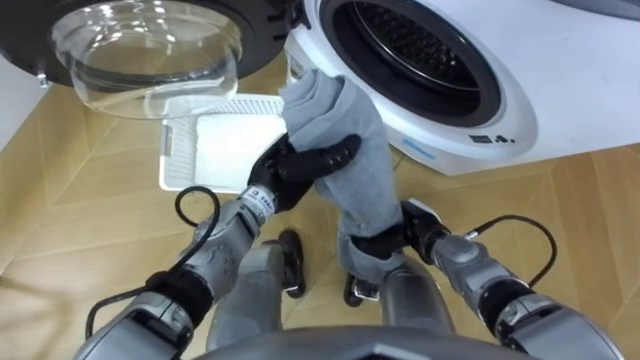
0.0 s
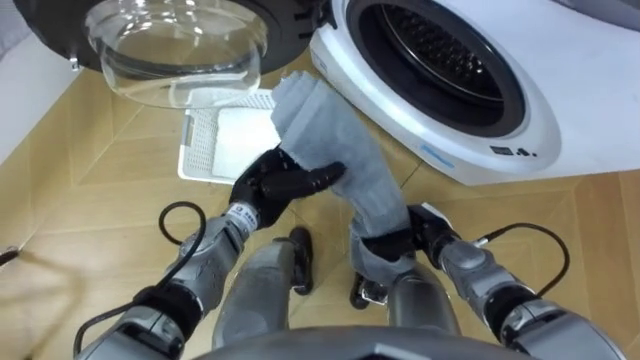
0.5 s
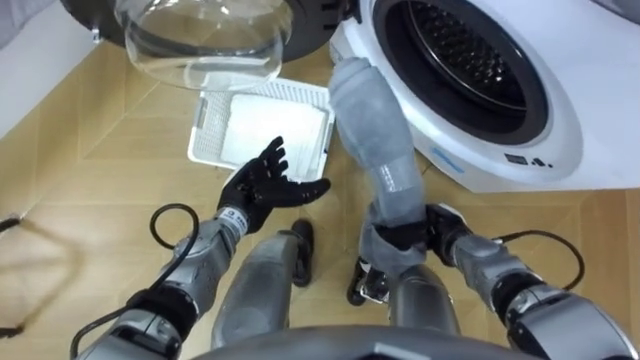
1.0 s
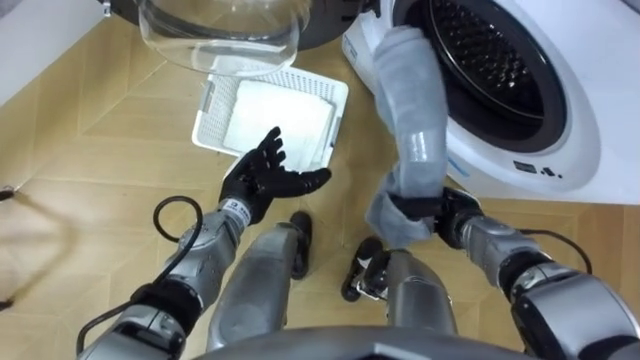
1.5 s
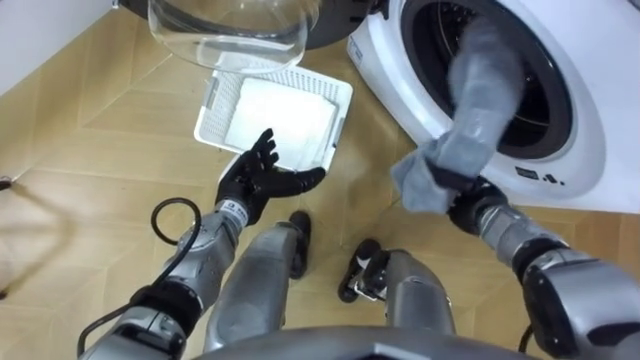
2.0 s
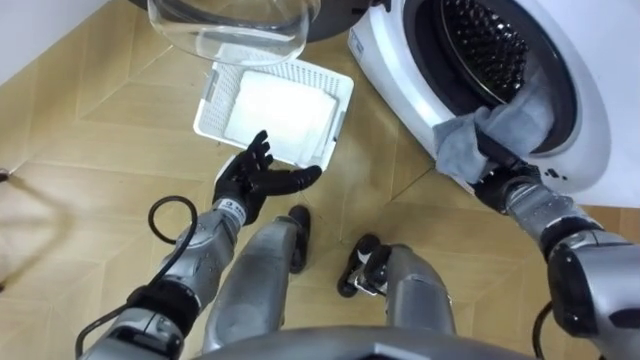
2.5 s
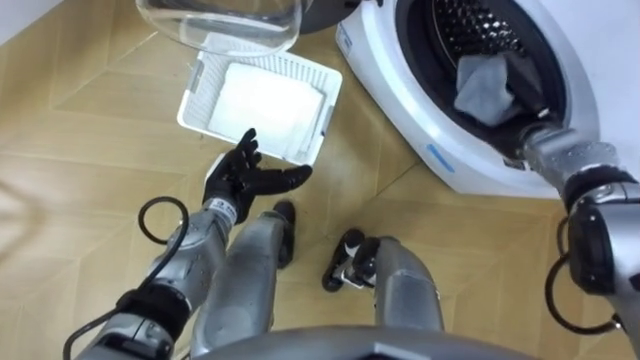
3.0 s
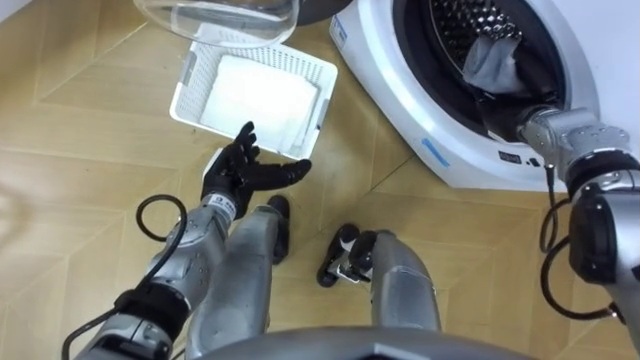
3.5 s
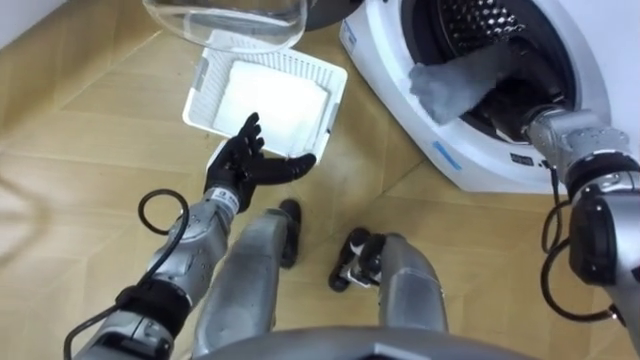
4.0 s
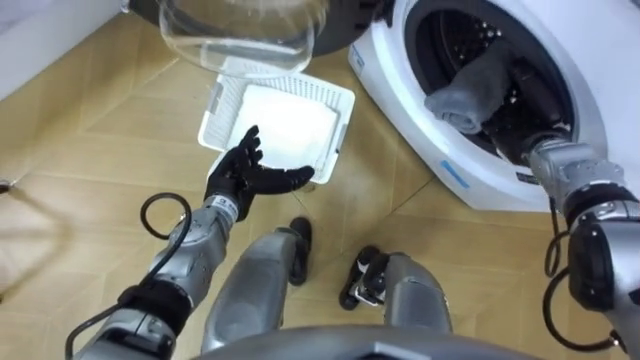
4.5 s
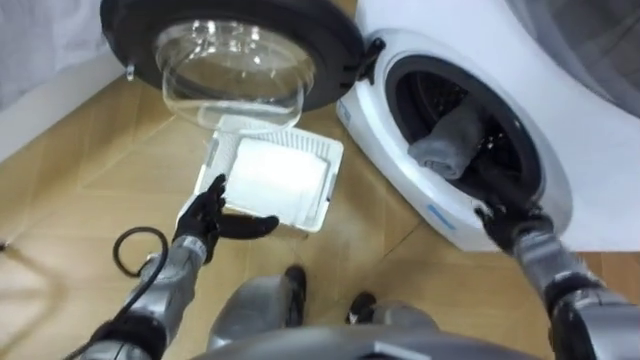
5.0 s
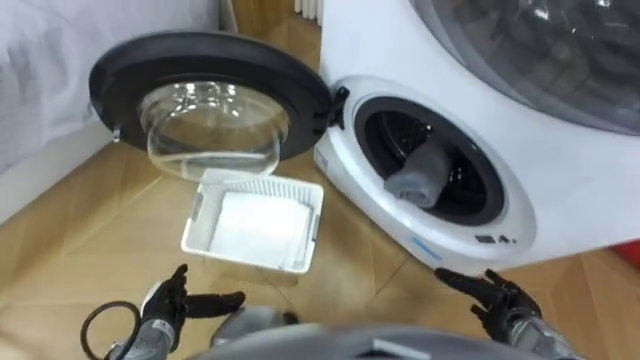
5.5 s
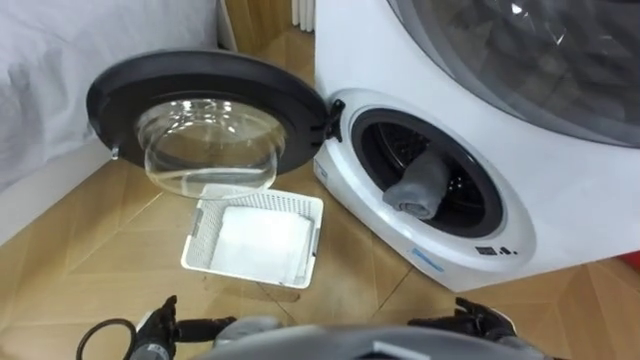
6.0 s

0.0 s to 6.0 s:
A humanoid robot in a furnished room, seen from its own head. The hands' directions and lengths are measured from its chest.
Task of the whole recording: Take the towel from the basket and put it into the washing machine.
0.0 to 2.0 s: The right hand is displaced to the right by roughly 10 cm, while the left hand travels to the left by roughly 5 cm, and opens.
2.0 to 4.0 s: The right hand travels upward, forward and to the right by some 15 cm, and opens its fingers.
4.0 to 6.0 s: The right hand shifts about 35 cm backward and downward. The left hand travels backward, downward and to the left by roughly 30 cm.

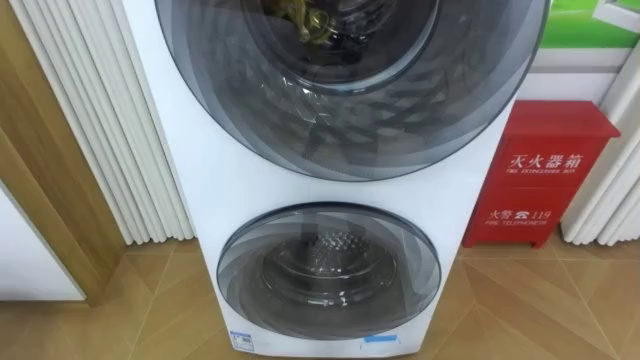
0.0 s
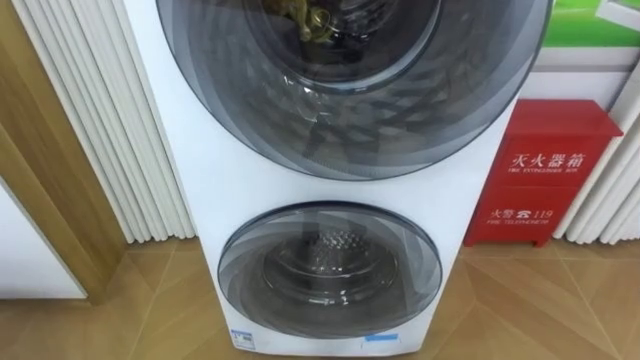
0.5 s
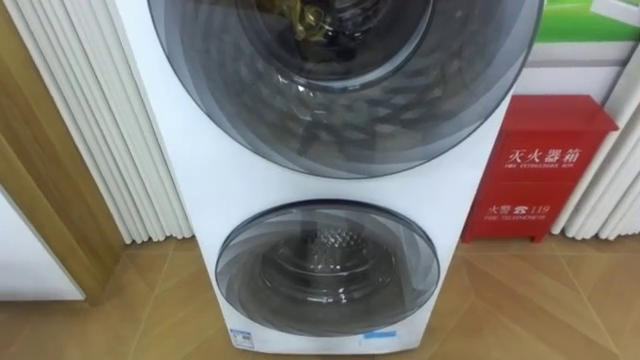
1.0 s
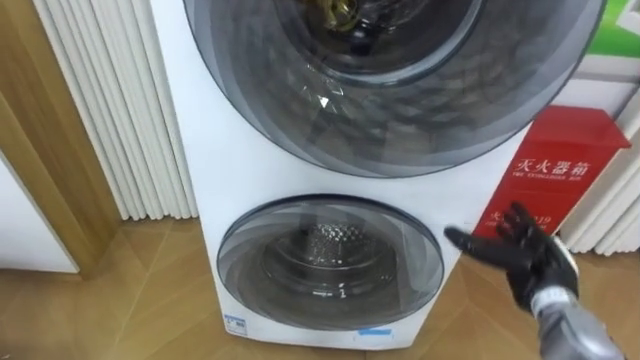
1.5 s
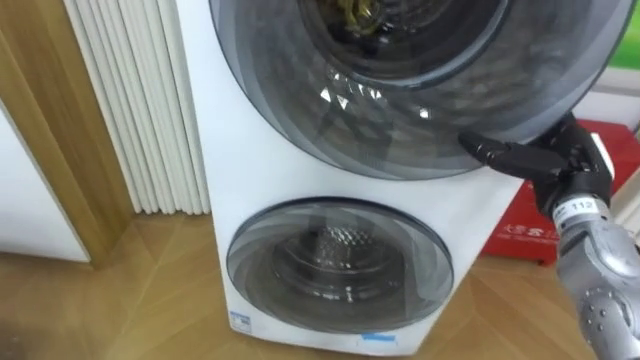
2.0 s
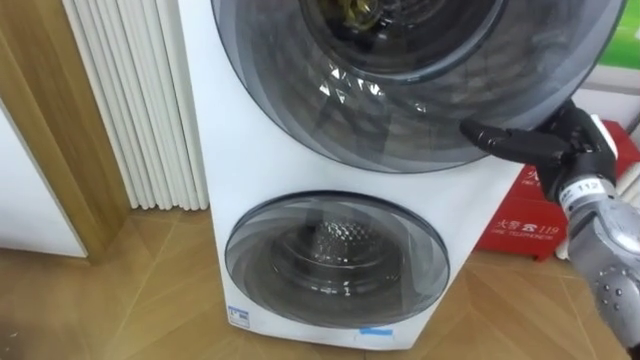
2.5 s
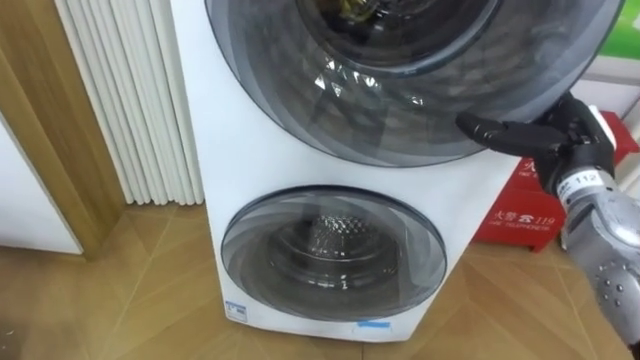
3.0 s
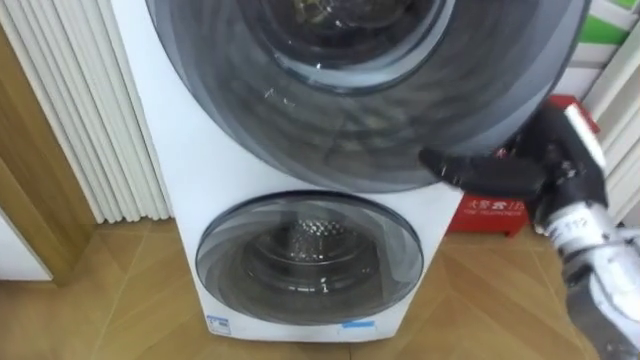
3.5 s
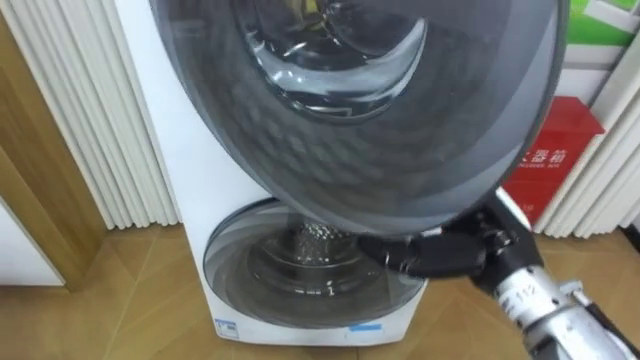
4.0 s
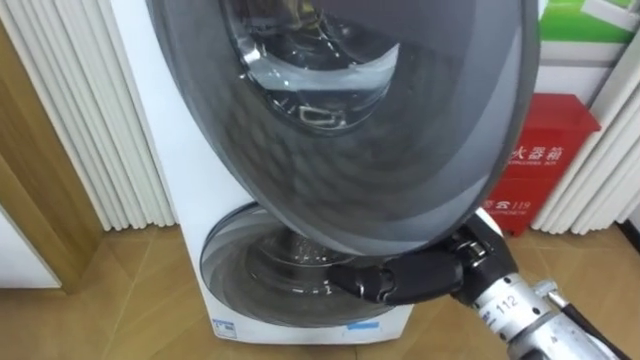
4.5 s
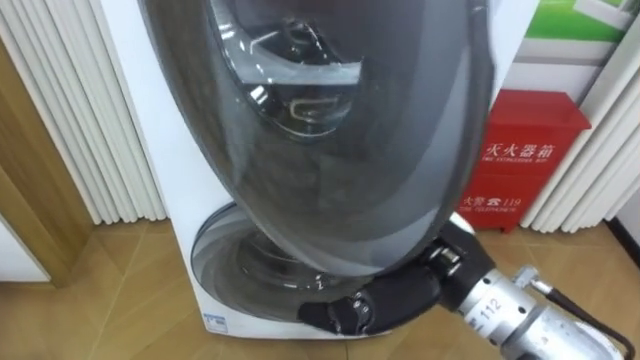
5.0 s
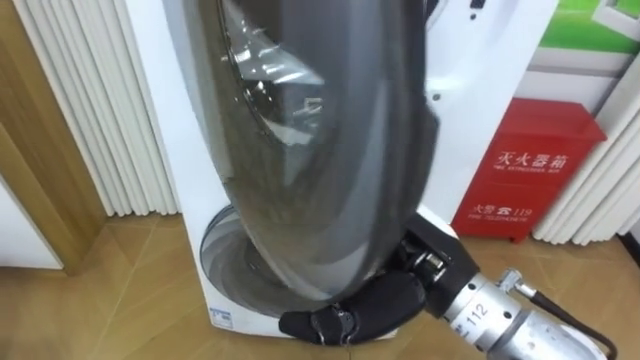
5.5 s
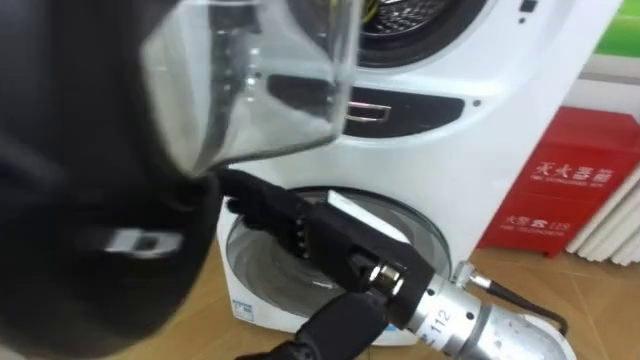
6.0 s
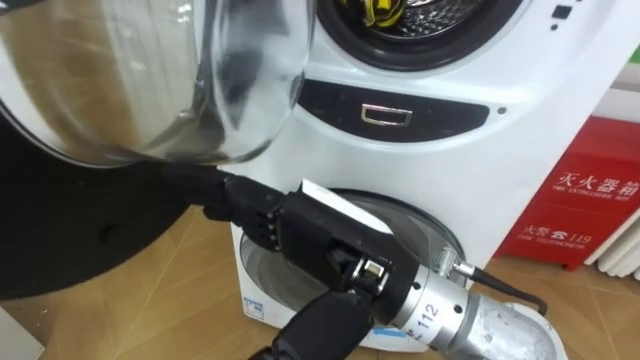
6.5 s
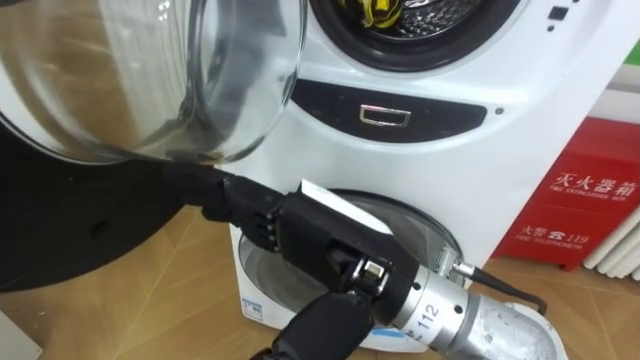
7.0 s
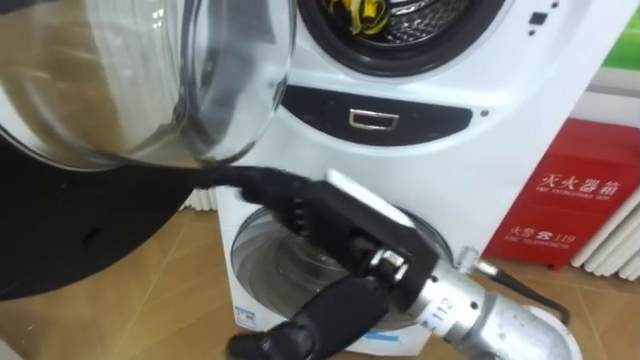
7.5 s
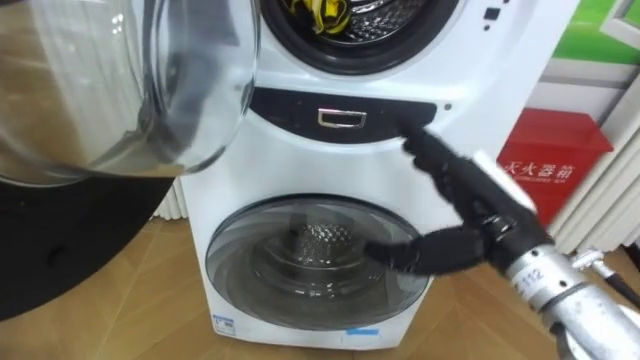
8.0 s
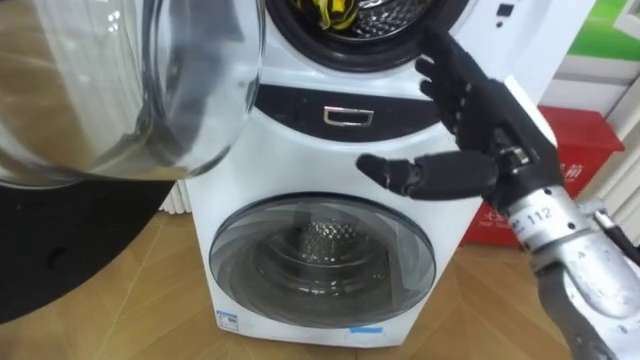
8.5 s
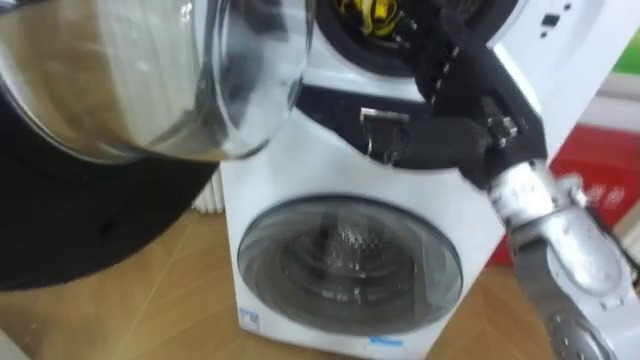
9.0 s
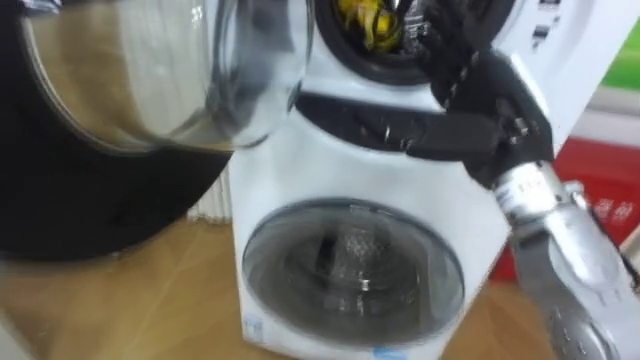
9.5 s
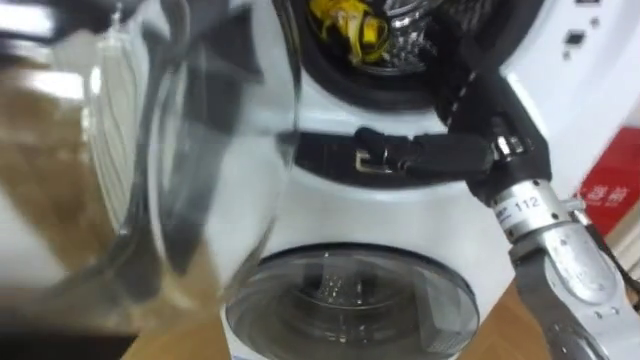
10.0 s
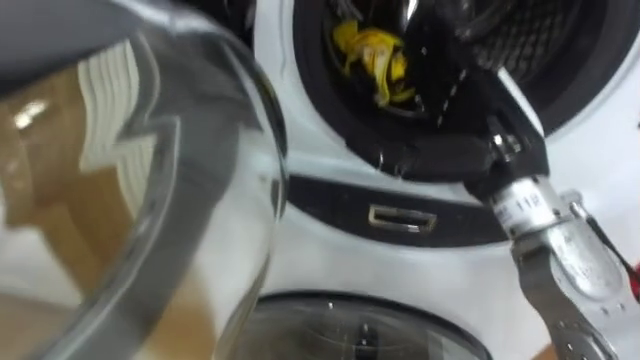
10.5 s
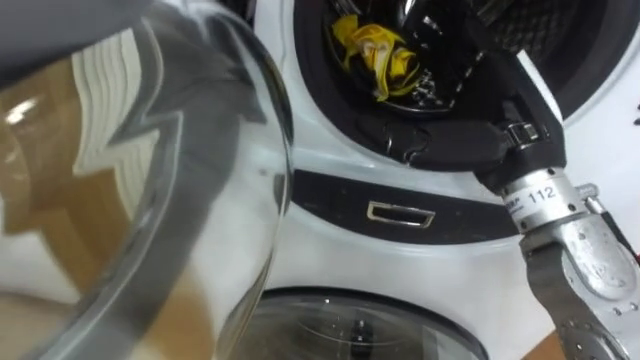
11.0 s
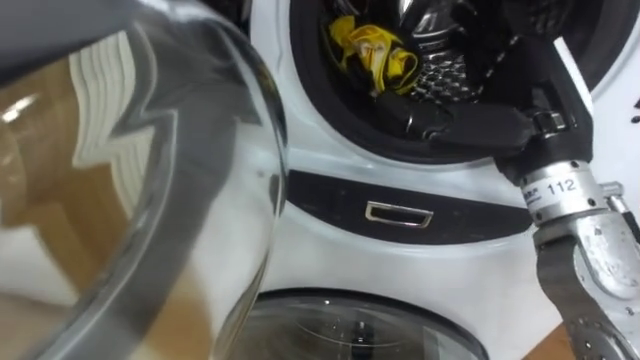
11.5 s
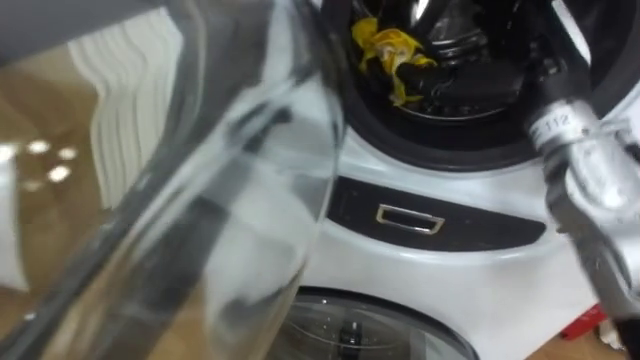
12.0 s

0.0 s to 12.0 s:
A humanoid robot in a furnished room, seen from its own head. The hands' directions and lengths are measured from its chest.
Task of the whole recording: Open the washing machine door, take out the yellow clothes, place them in the box on the right, and close the washing machine door.
2.0 to 4.0 s: The right hand shifts about 15 cm to the left and backward.
4.0 to 6.0 s: The right hand goes roughly 15 cm to the left and backward.
6.0 to 8.0 s: The right hand shifts approximately 15 cm to the right and forward.
8.0 to 10.0 s: The right hand travels upward by approximately 5 cm.
10.0 to 12.0 s: The right hand moves forward, roughly 5 cm.

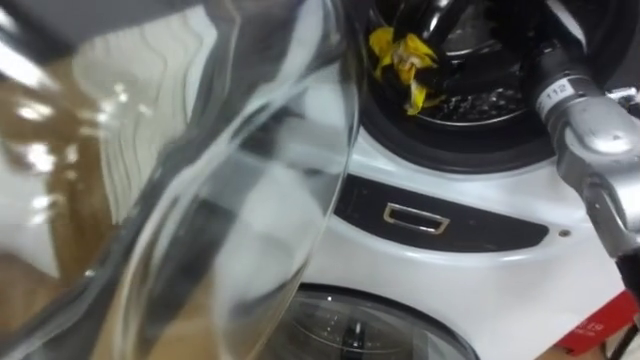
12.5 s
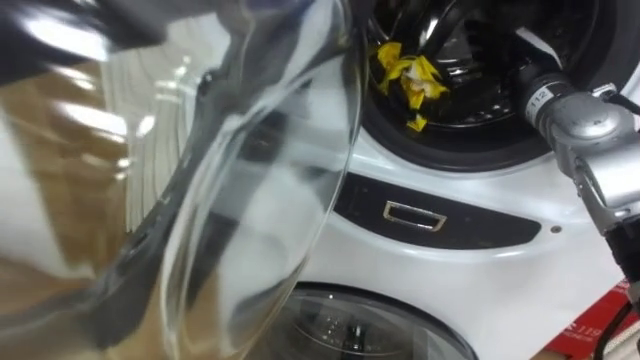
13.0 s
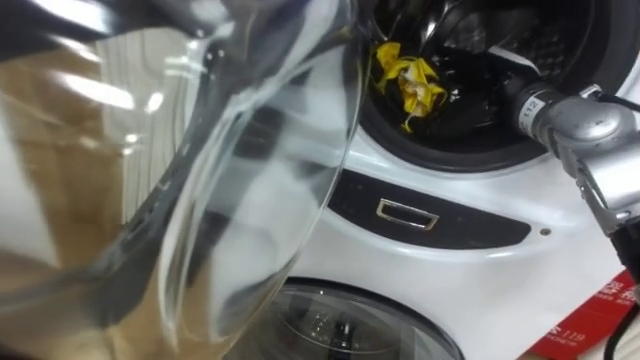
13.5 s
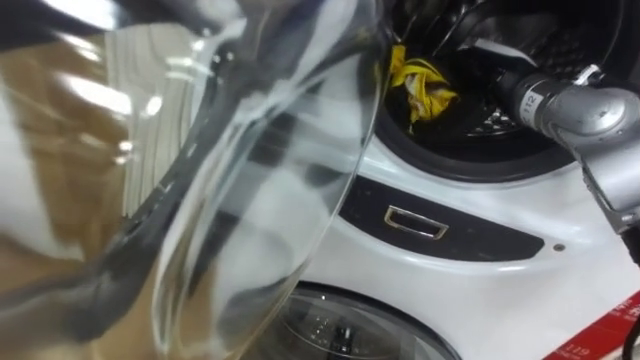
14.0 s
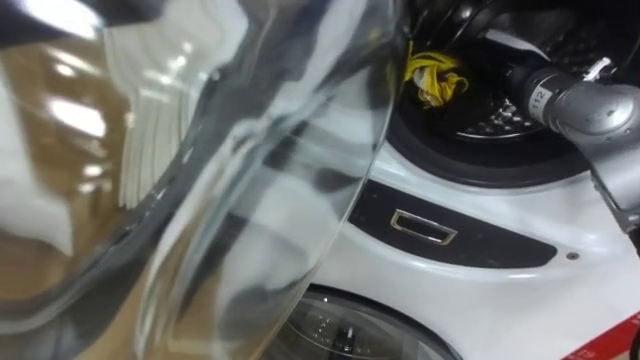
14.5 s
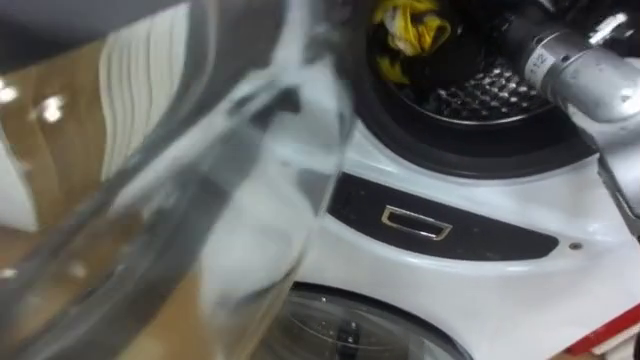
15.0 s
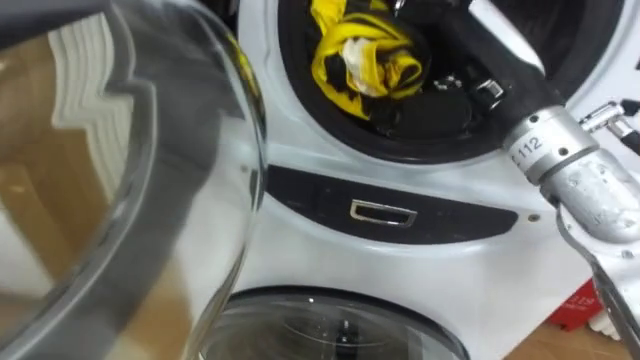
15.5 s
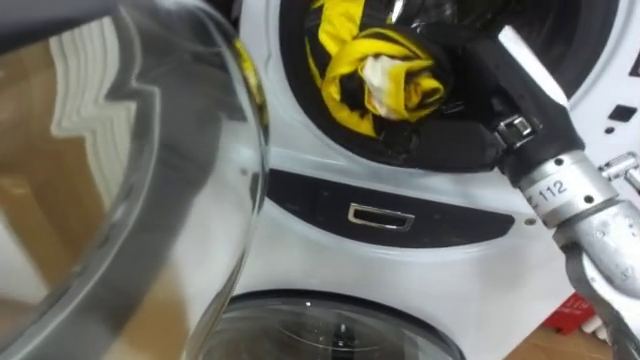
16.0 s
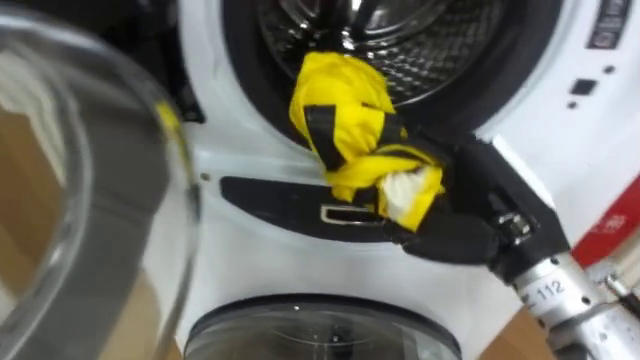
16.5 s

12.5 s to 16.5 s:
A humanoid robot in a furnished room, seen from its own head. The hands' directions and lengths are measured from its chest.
Task of the whole recording: Open the washing machine door, take out the yellow clothes, place them in the box on the right, and close the washing machine door.
12.5 to 14.5 s: The right hand closes.
14.5 to 16.5 s: The right hand is displaced backward by roughly 15 cm.
